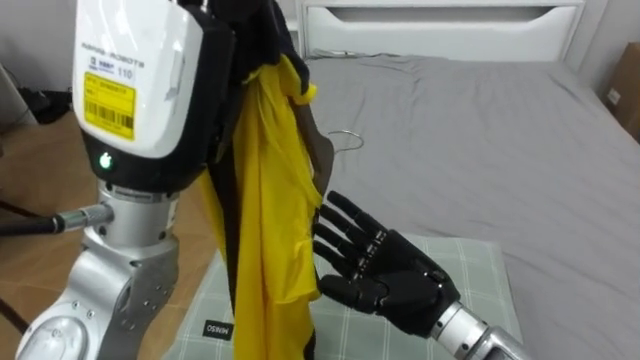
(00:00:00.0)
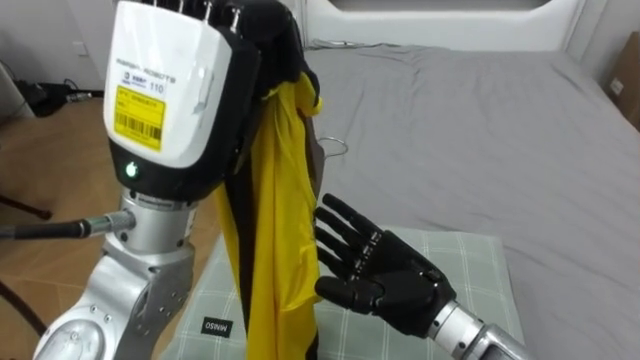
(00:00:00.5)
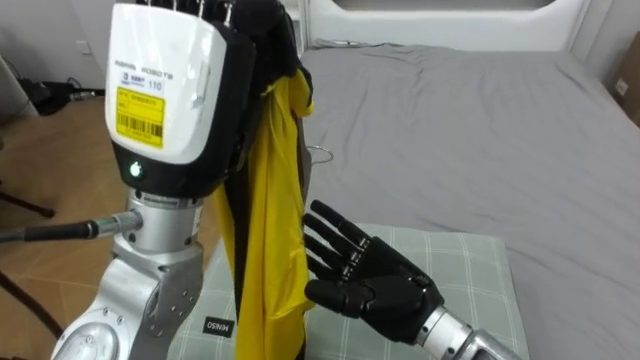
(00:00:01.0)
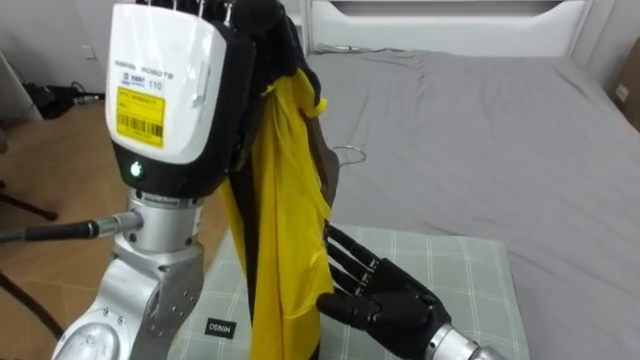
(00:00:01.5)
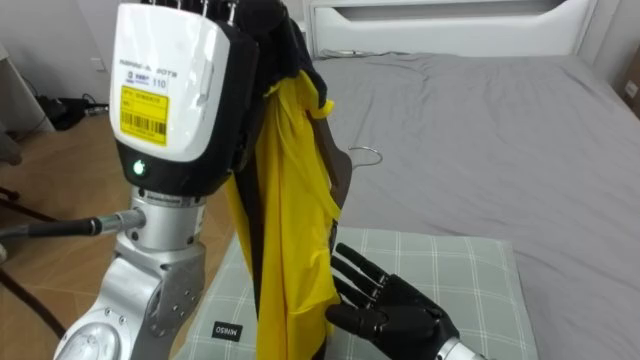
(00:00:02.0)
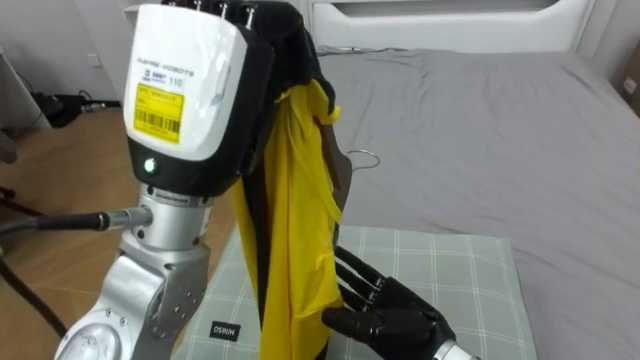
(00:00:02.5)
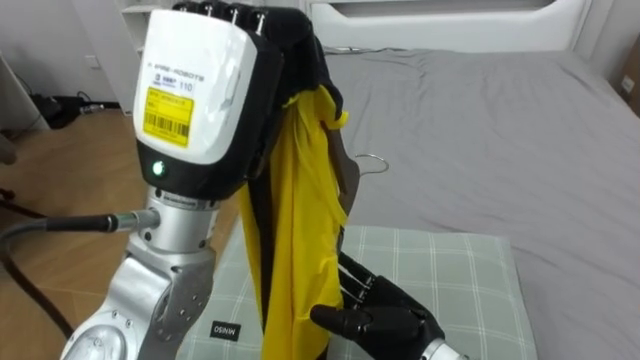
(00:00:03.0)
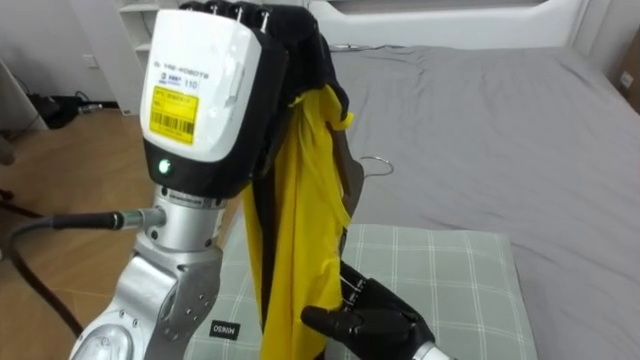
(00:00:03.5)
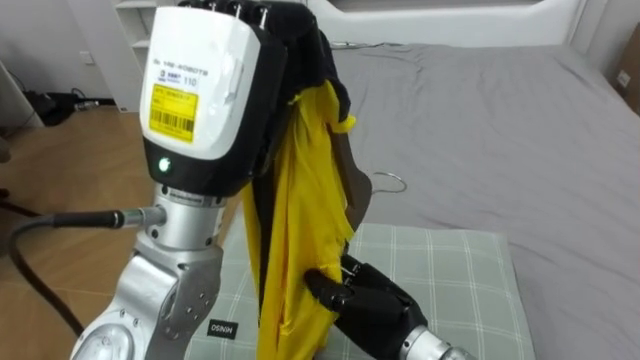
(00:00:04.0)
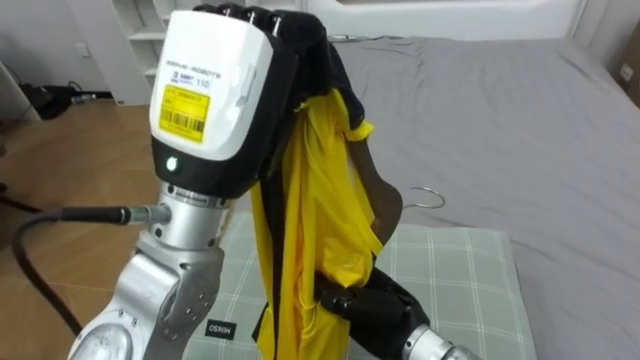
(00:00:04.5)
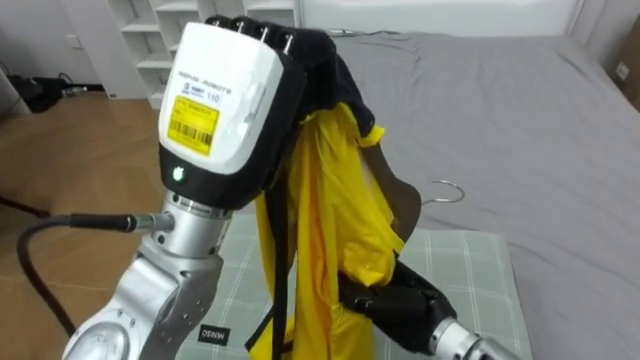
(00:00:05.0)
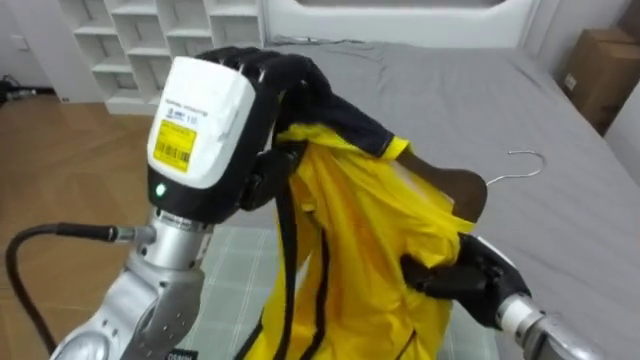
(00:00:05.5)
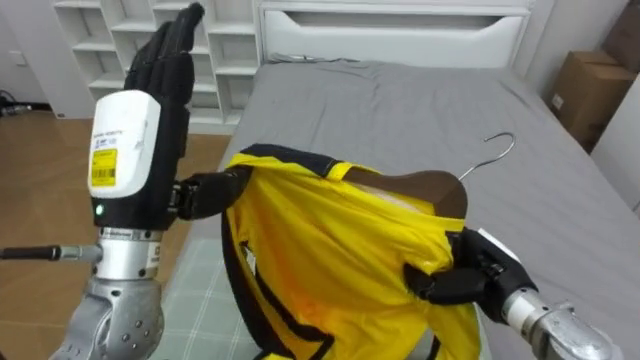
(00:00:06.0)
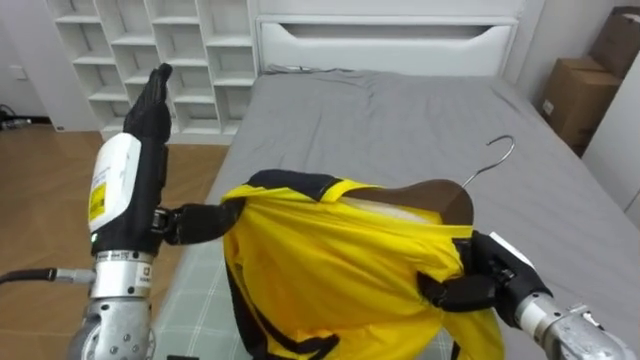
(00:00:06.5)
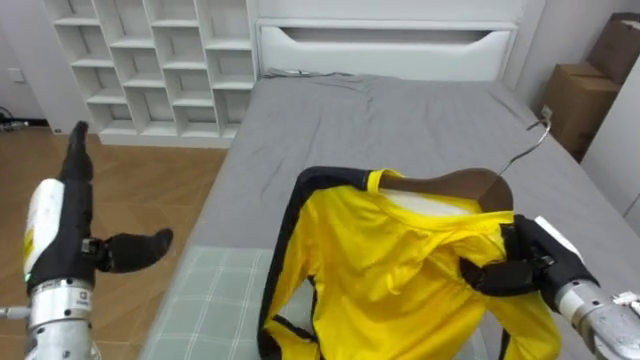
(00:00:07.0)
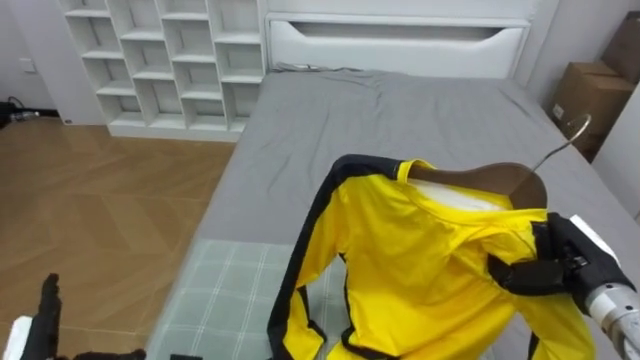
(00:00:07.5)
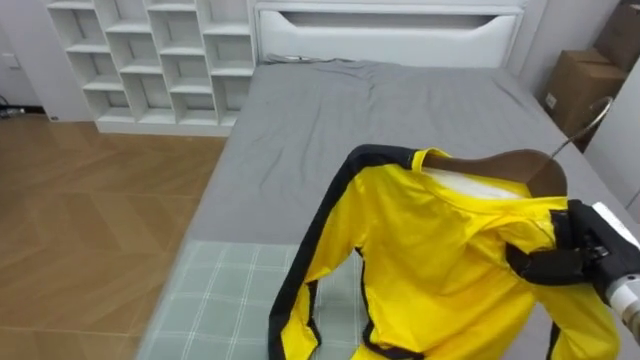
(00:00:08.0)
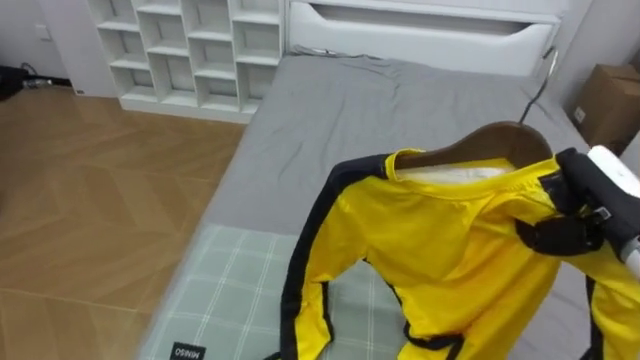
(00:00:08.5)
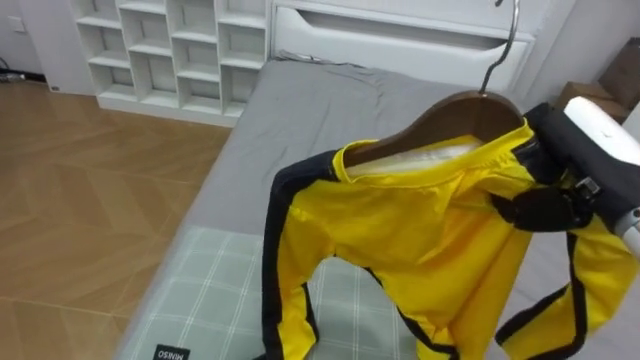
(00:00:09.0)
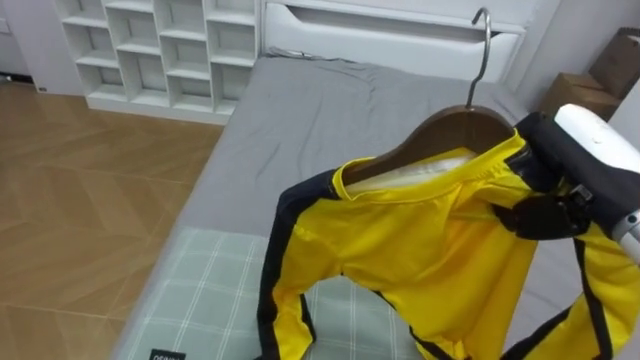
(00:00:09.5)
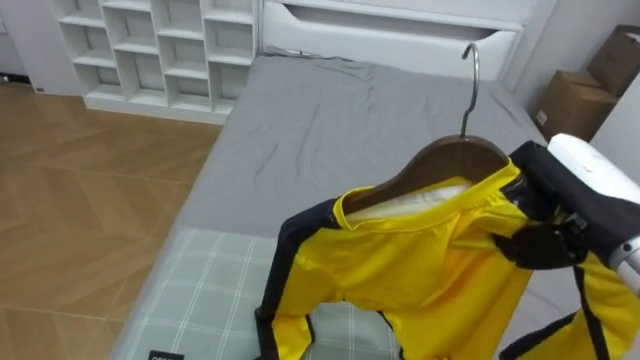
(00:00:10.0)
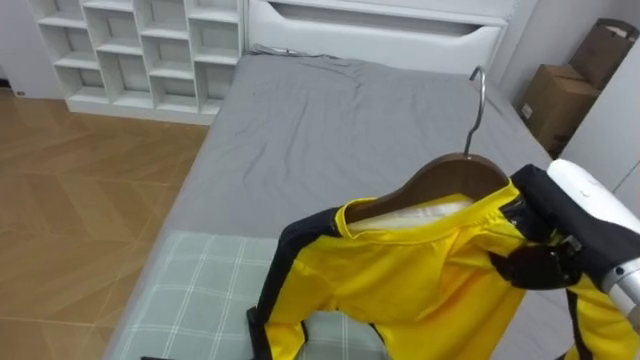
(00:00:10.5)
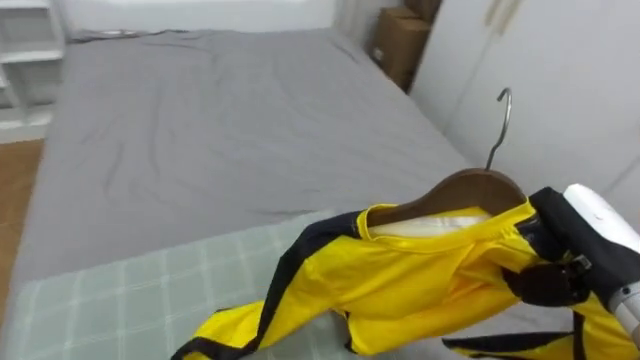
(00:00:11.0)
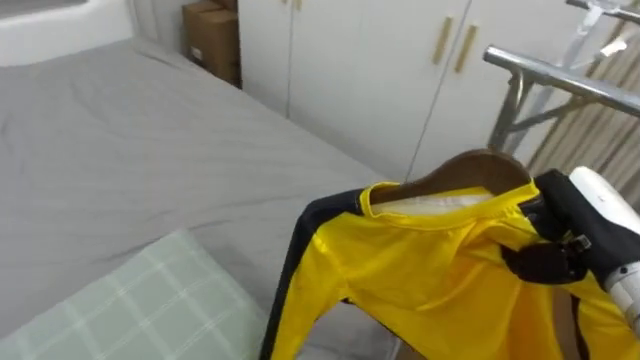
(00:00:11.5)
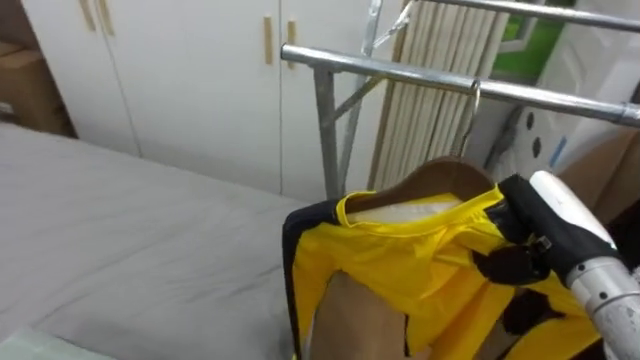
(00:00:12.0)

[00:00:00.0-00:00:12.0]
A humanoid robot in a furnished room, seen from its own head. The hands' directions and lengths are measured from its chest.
Task of the whole recording: Pick up the yellow shirt on the bed and hang it on the clothes rack on the right.
00:00:00.0 to 00:00:02.0: The right hand goes some 5 cm downward.
00:00:02.0 to 00:00:04.0: The right hand closes its fingers.
00:00:04.0 to 00:00:06.0: The right hand travels to the right by some 15 cm, and closes up. Meanwhile the left hand shifts roughly 10 cm to the left and downward, and opens up.
00:00:06.0 to 00:00:08.0: The right hand goes roughly 10 cm to the right.
00:00:08.0 to 00:00:10.0: The right hand heads upward and to the left, covering about 15 cm.
00:00:10.0 to 00:00:12.0: The robot rotates roughly 75 degrees to its right. The right hand heads downward, covering about 5 cm.

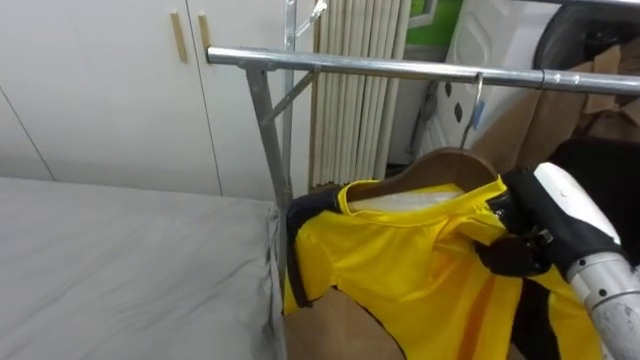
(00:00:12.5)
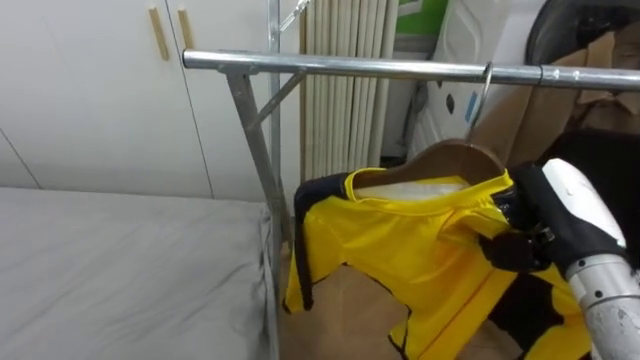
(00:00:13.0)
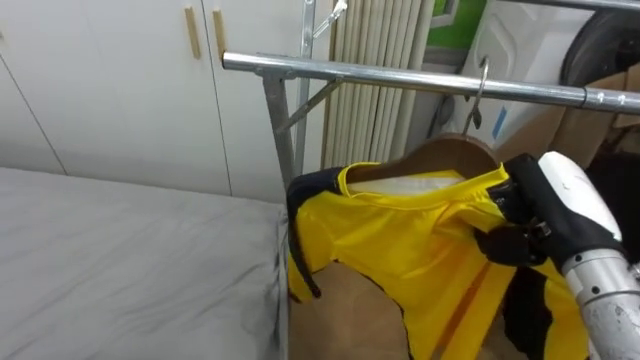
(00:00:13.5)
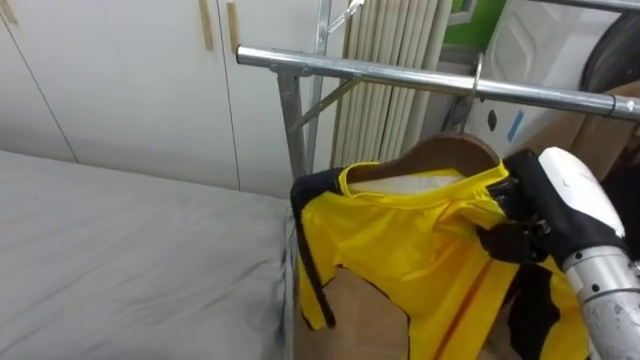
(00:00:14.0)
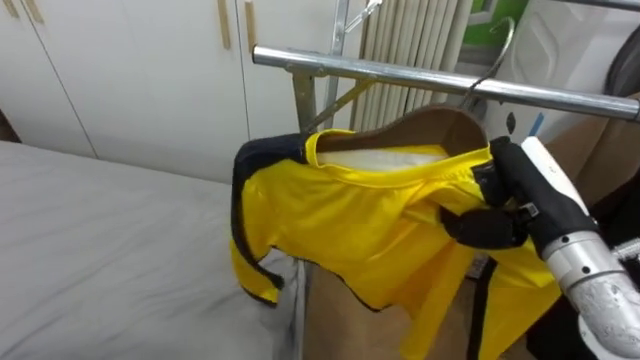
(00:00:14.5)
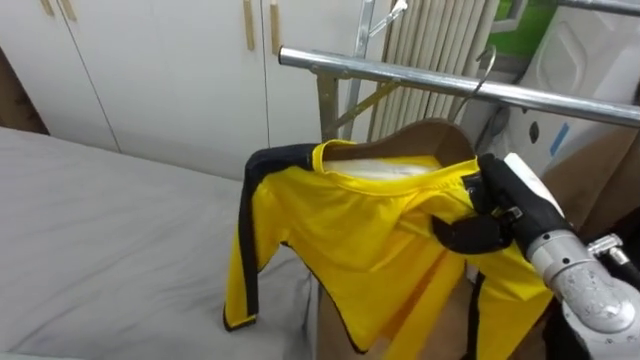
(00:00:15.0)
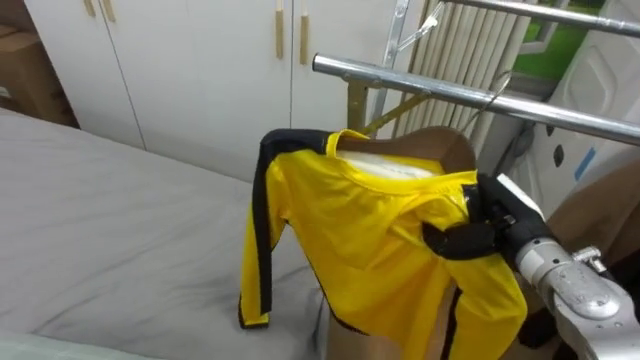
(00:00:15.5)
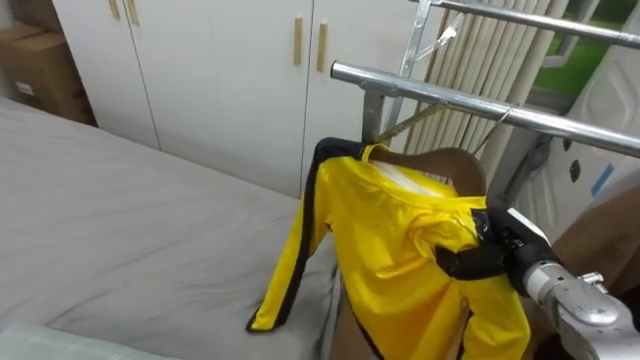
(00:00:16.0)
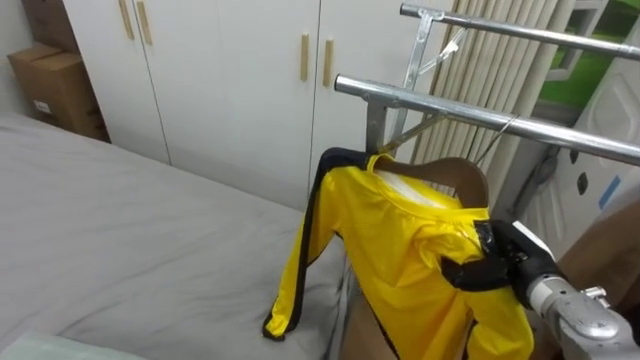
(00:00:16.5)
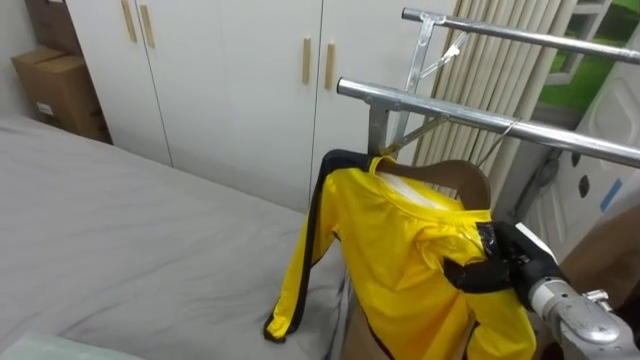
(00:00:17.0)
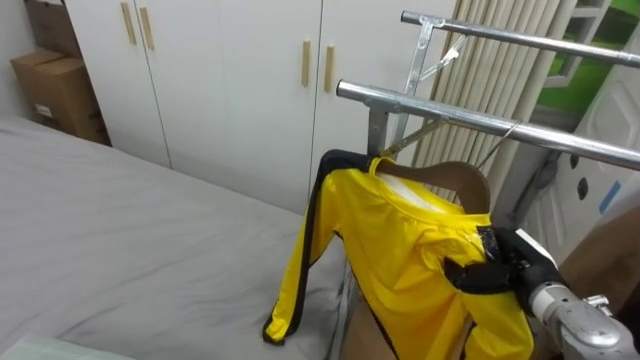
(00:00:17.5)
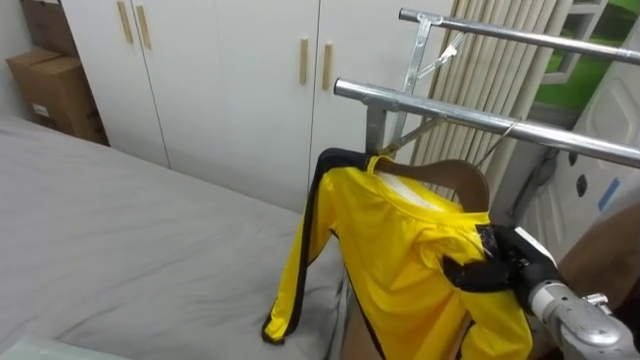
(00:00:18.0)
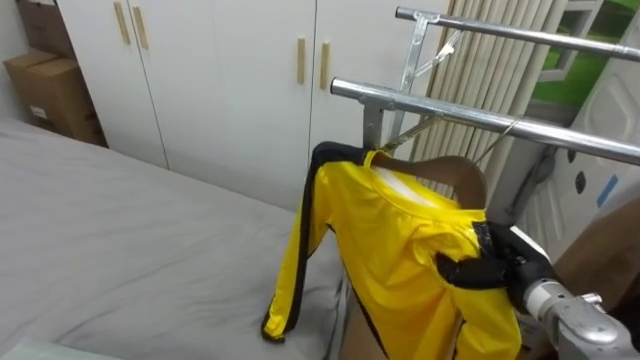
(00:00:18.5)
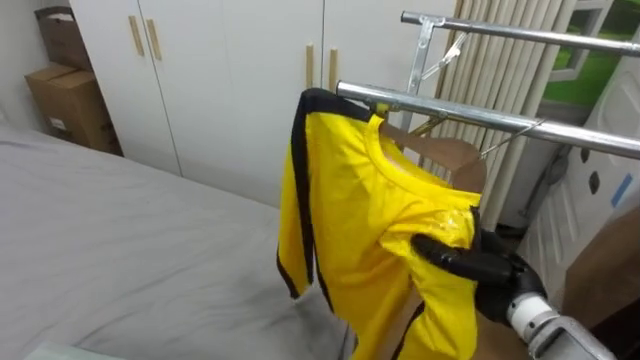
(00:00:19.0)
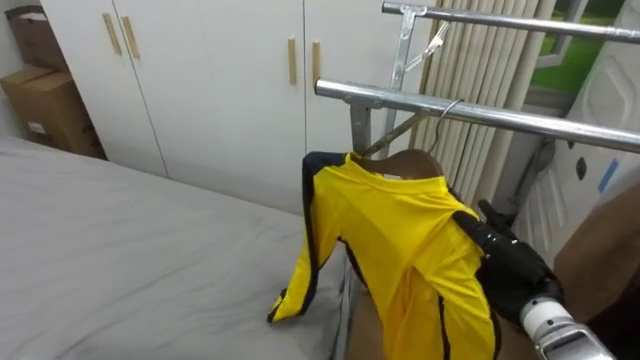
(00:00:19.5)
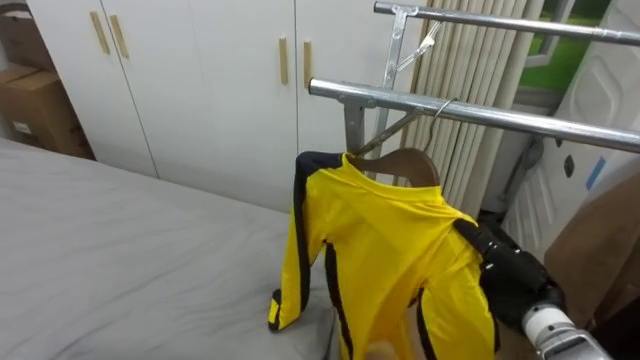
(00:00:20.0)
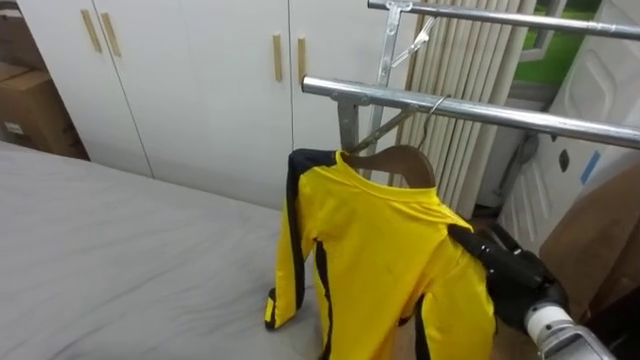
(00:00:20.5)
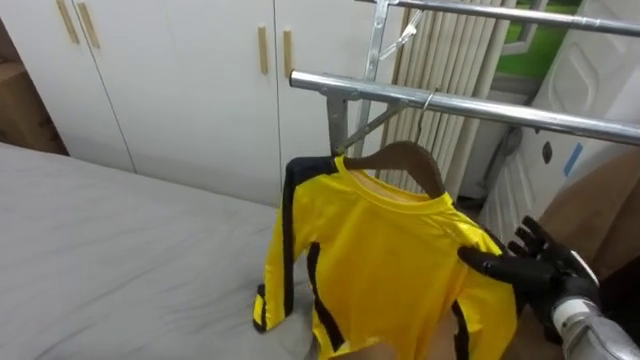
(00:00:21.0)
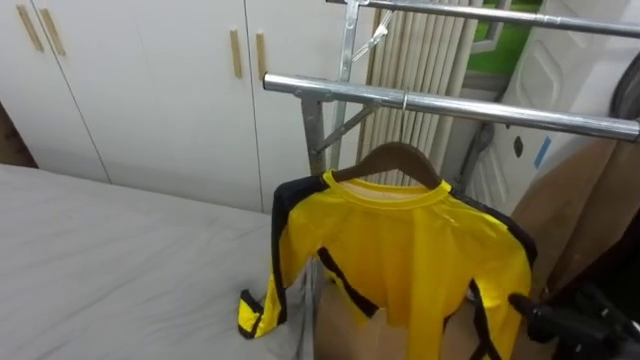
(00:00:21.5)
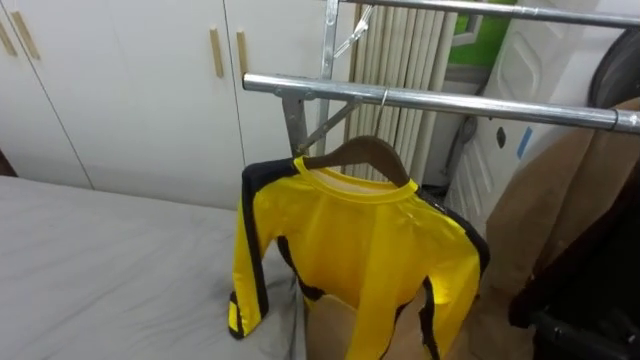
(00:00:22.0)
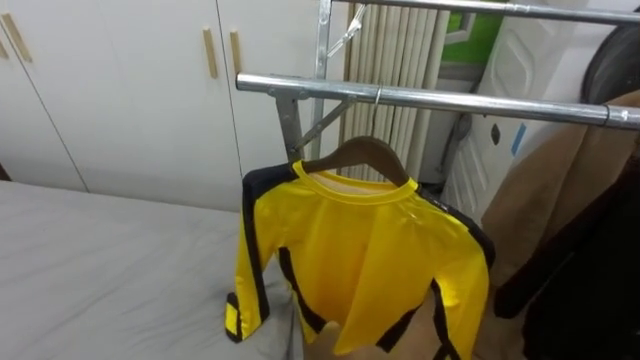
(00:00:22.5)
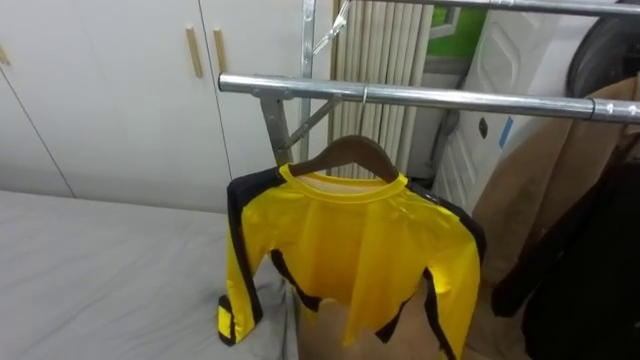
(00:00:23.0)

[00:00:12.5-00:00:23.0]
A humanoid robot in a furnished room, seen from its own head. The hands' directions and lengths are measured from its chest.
Task of the whole recording: Pick up the yellow shirt on the bed and hang it on the clothes rack on the right.
00:00:14.5 to 00:00:16.5: The right hand travels downward by some 15 cm.
00:00:19.0 to 00:00:21.0: The right hand heads to the right, covering approximately 5 cm, and opens.
